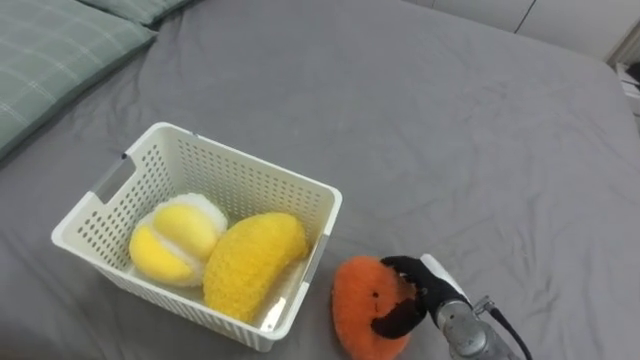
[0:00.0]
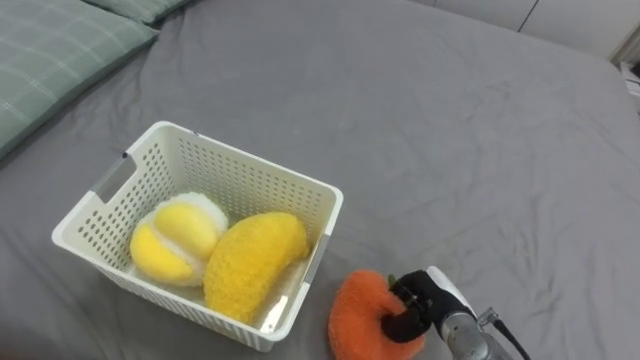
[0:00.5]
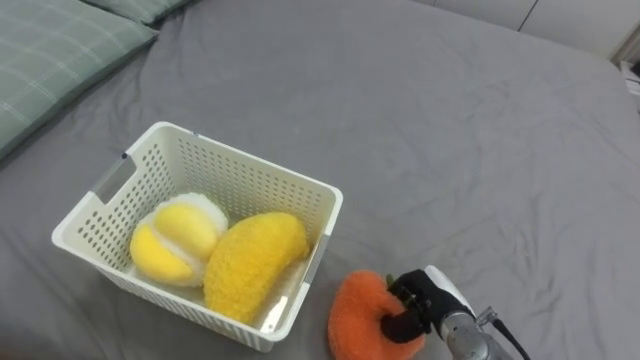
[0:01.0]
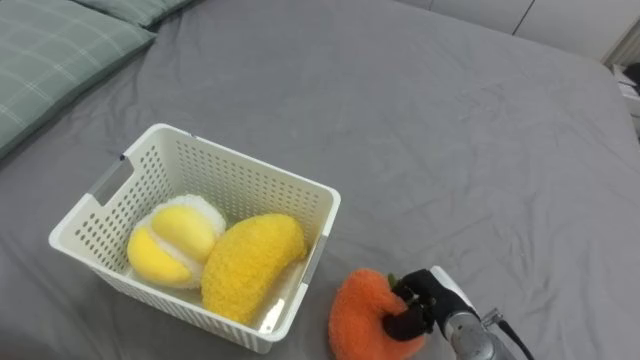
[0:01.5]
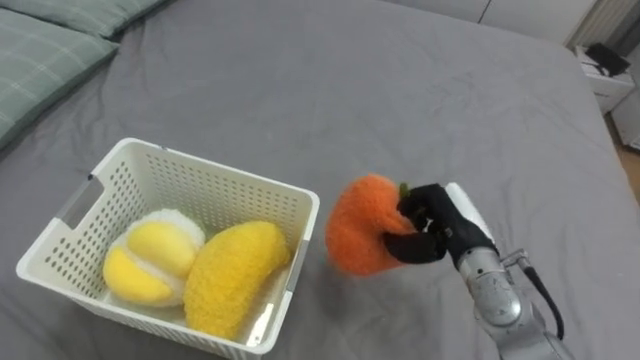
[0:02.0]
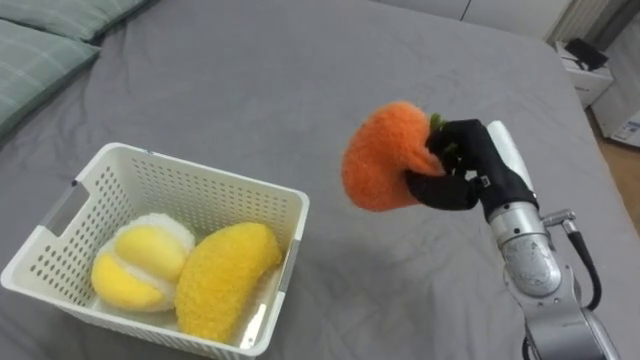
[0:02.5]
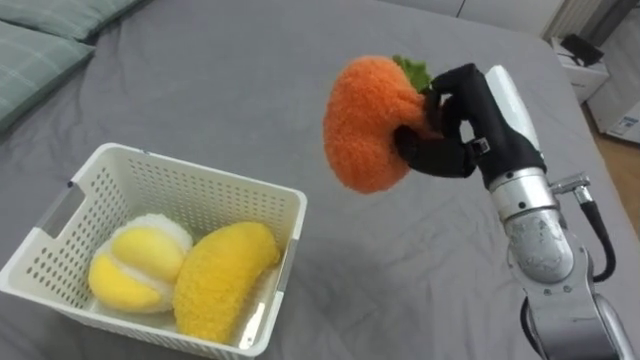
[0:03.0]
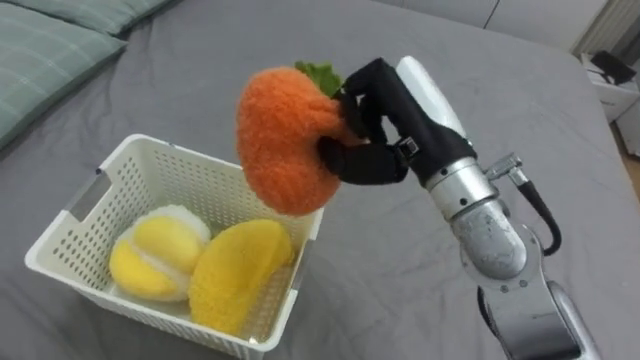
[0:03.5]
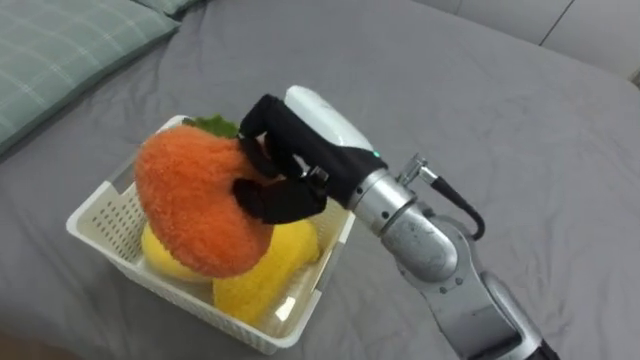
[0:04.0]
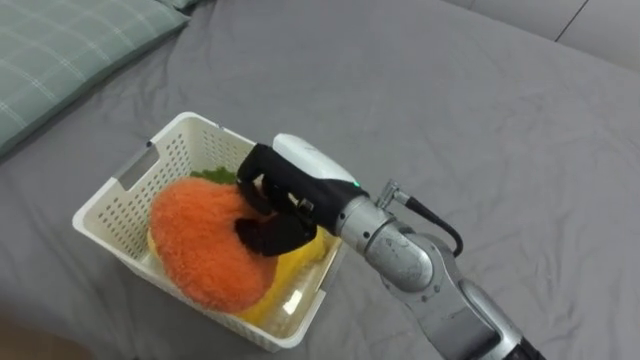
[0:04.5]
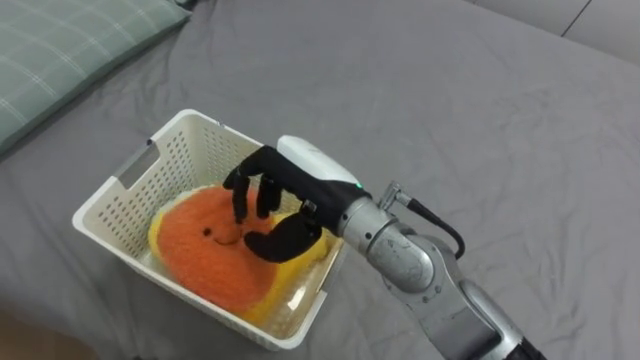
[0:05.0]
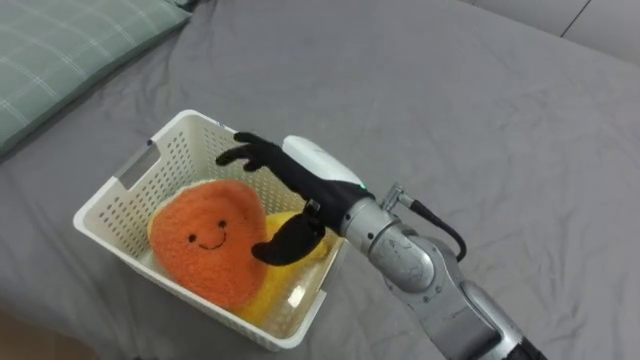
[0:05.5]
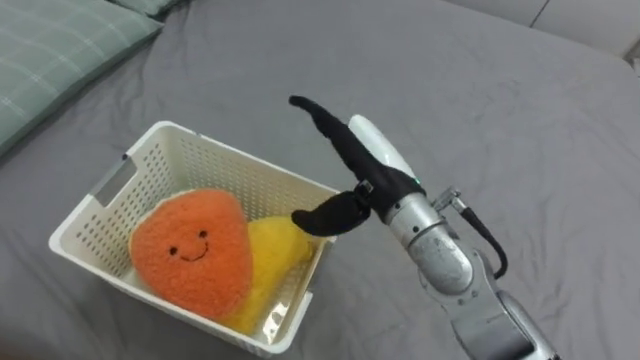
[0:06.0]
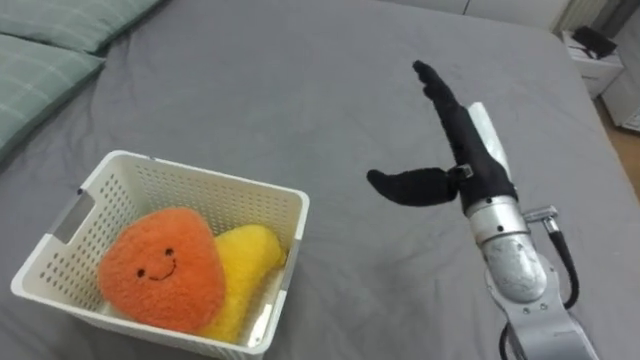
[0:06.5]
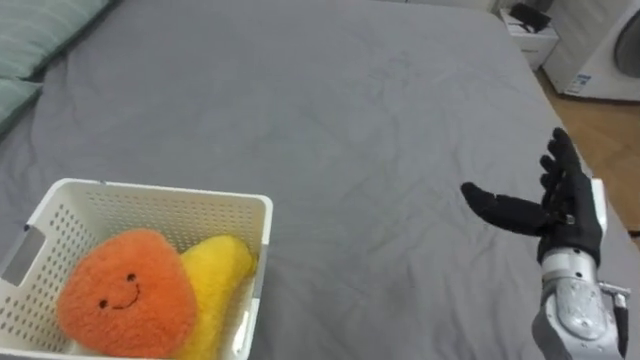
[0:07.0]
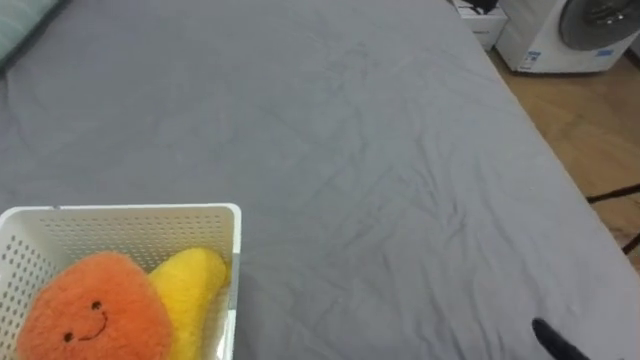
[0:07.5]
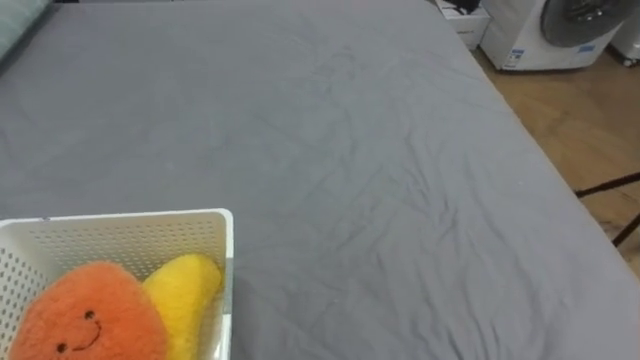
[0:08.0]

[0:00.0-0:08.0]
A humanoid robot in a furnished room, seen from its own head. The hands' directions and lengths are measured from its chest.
Task of the whole recording: Put the toys on the bed into the basket on the left.
0:00.0 to 0:02.0: The right hand is displaced upward by about 10 cm, and closes.
0:02.0 to 0:04.0: The right hand travels upward and to the left by roughly 25 cm.
0:04.0 to 0:06.0: The right hand shifts some 5 cm downward, and opens.

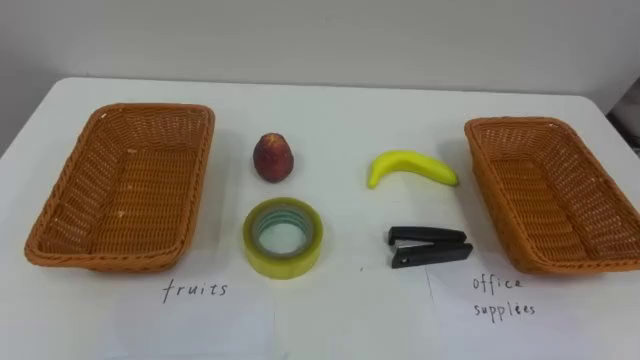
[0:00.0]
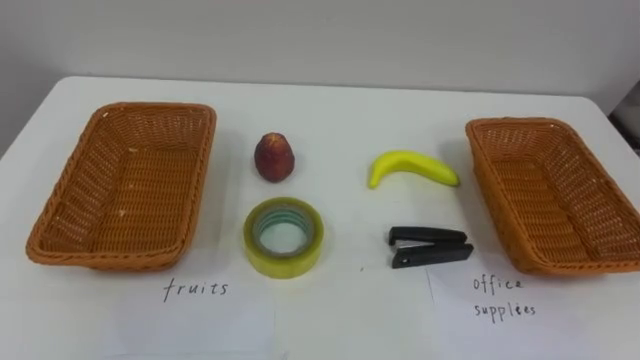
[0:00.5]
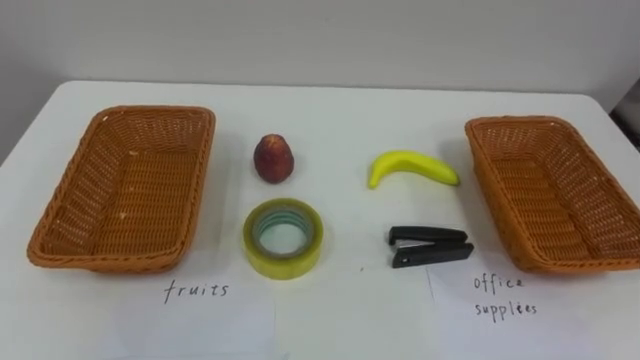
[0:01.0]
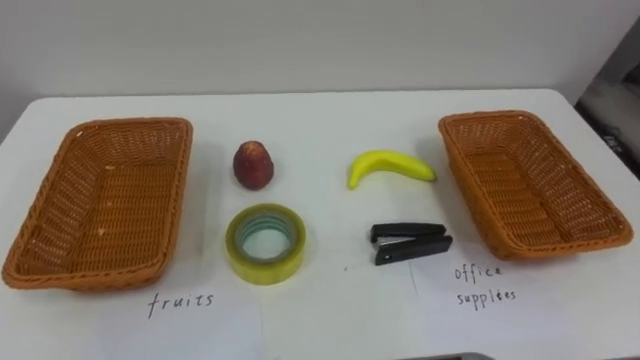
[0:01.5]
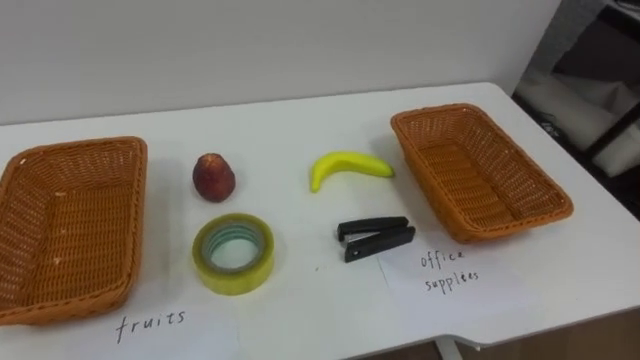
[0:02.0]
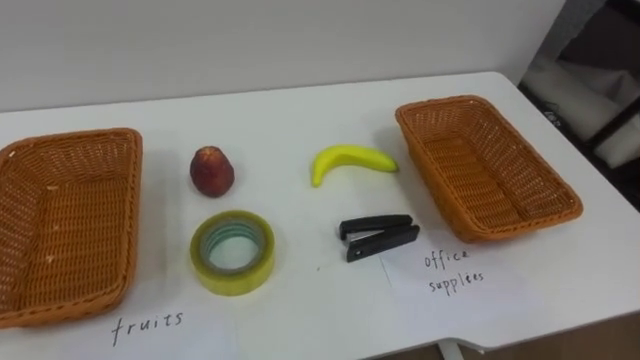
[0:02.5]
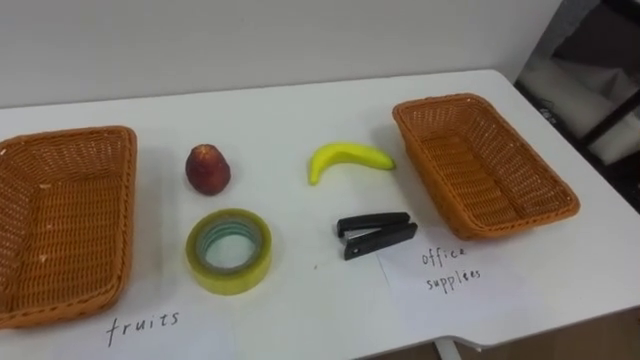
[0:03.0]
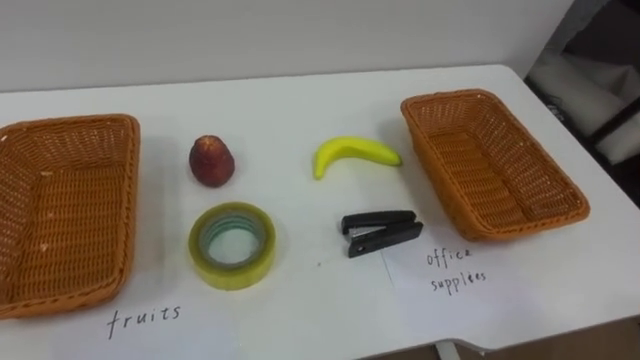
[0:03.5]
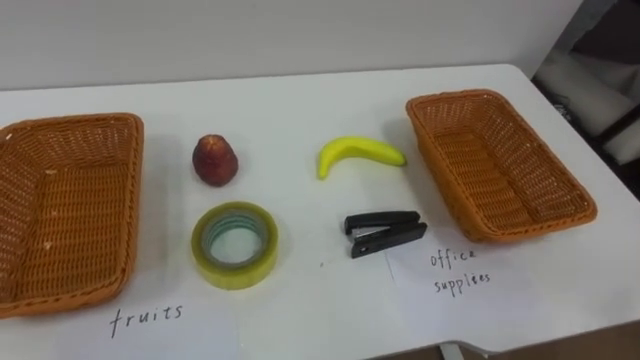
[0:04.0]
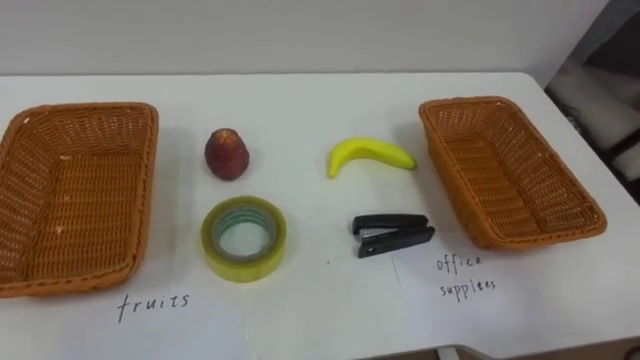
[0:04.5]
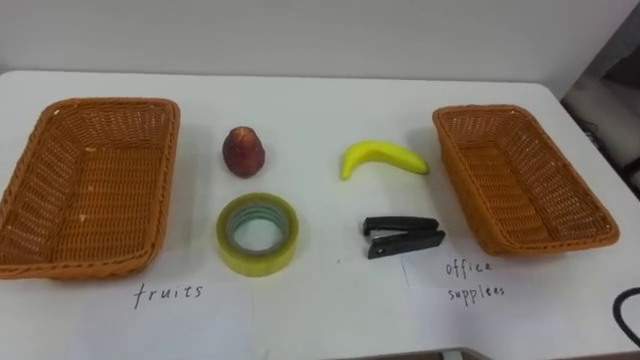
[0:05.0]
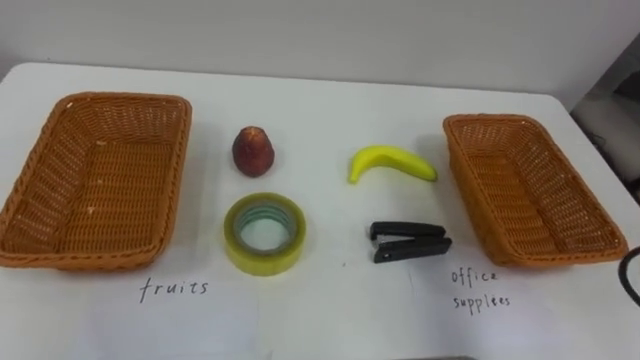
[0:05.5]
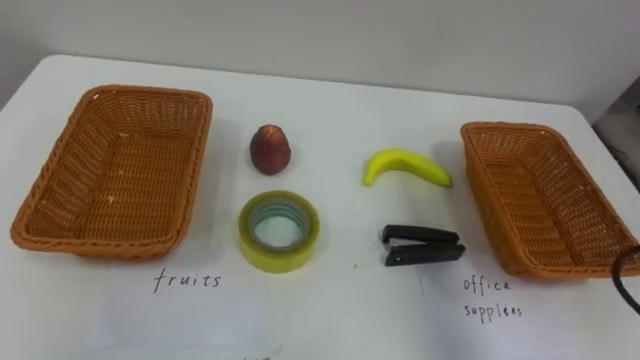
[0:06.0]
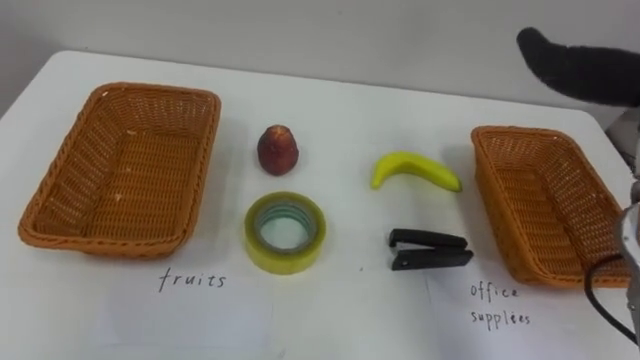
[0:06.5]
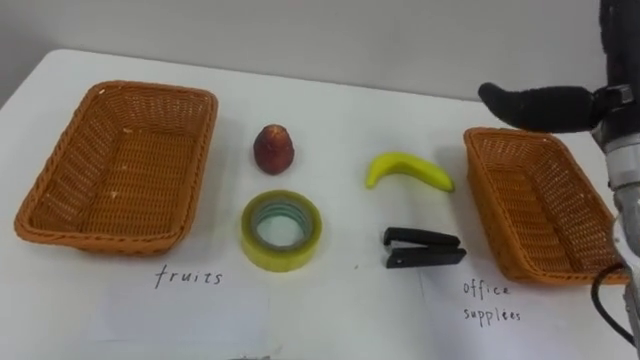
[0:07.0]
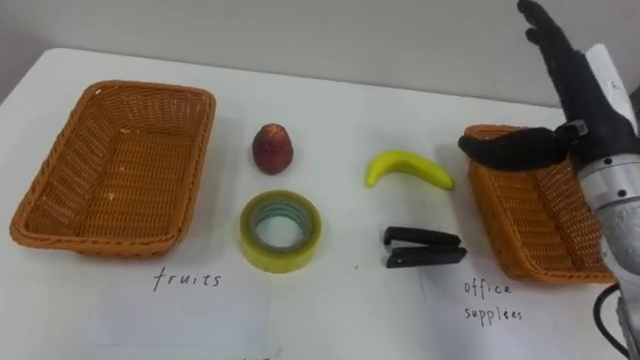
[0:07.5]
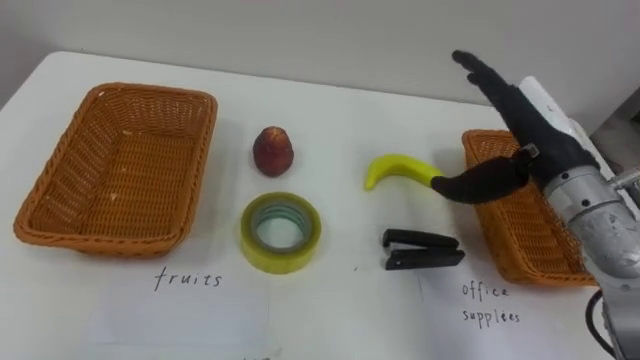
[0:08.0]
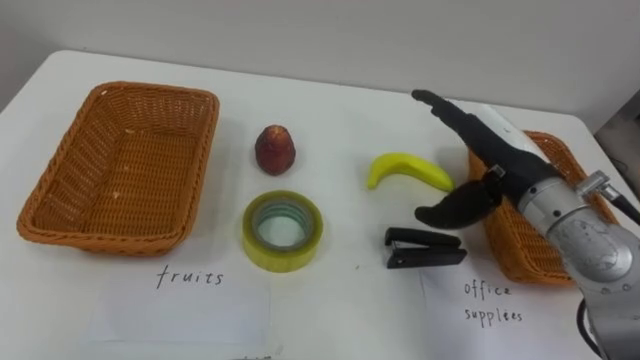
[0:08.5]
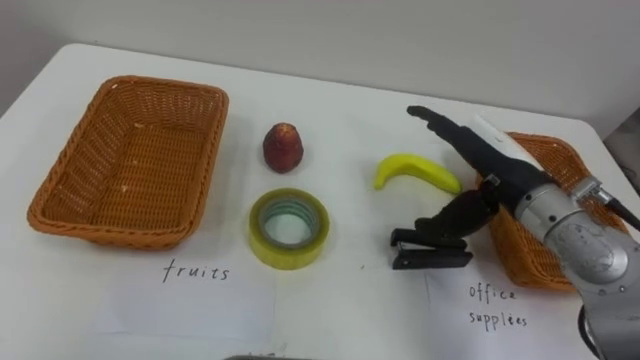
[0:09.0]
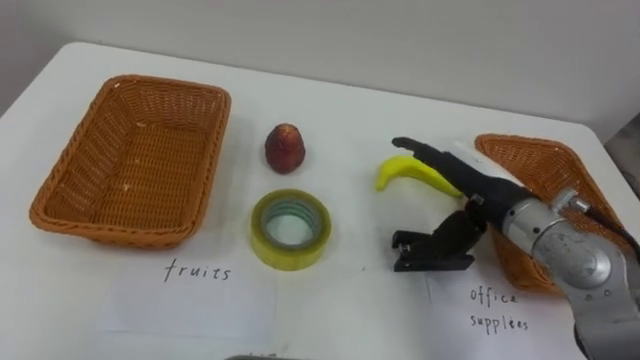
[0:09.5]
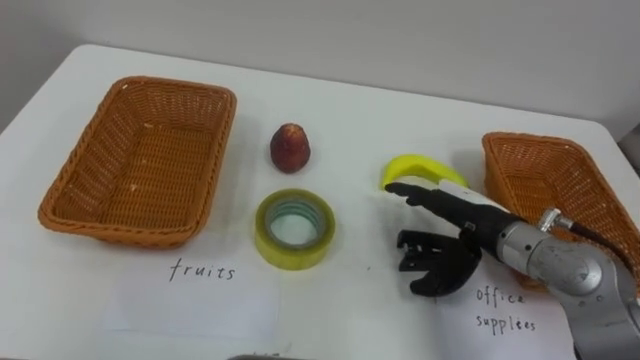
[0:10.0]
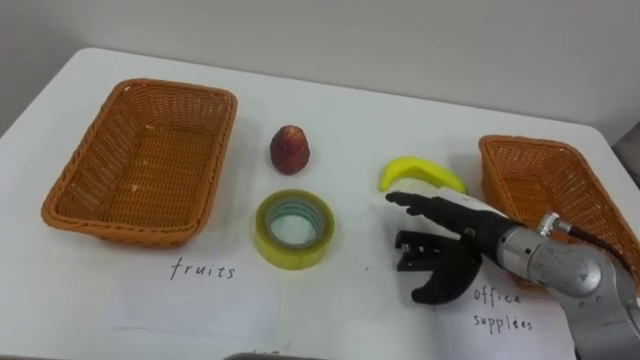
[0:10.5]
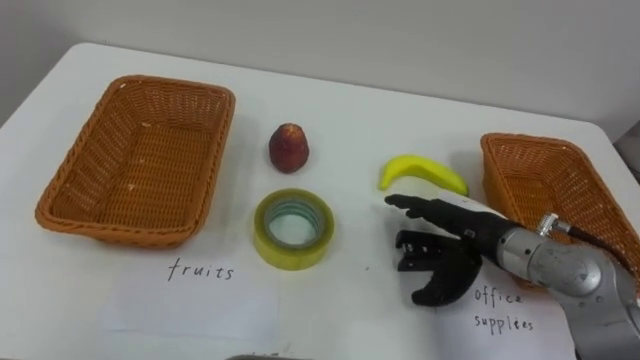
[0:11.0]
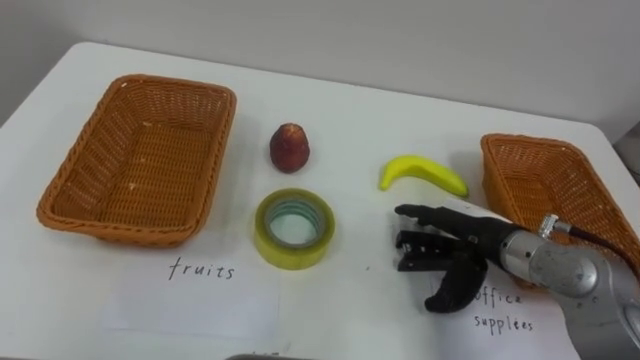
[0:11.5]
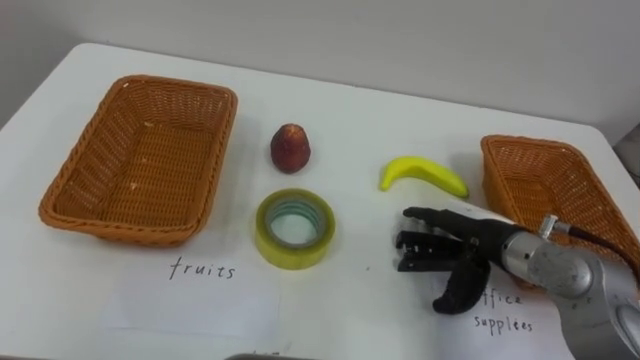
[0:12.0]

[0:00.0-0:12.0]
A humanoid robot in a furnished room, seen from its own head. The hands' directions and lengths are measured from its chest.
Task of the whole recording: Separate the items on the table and place them into the two baskets.
0:08.0 to 0:10.0: The right hand is displaced downward by about 10 cm.
